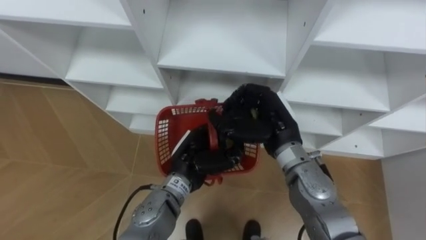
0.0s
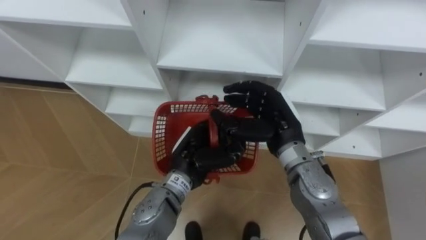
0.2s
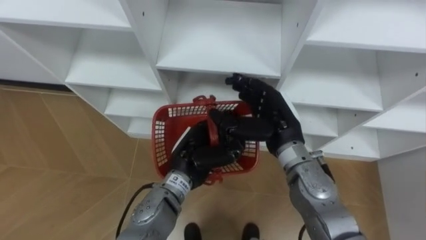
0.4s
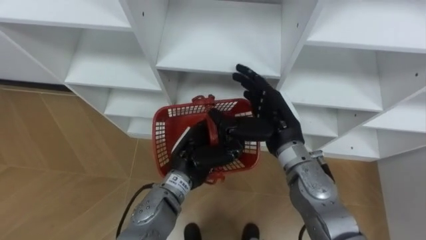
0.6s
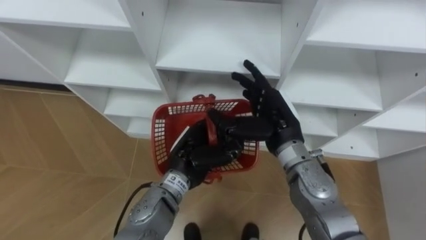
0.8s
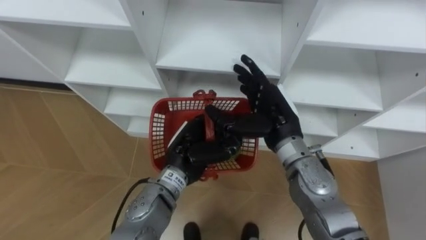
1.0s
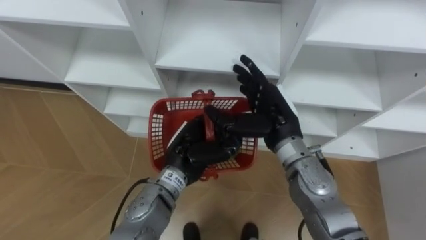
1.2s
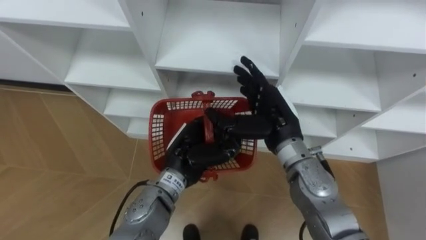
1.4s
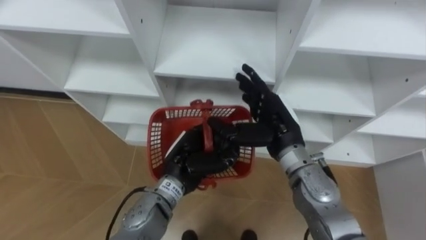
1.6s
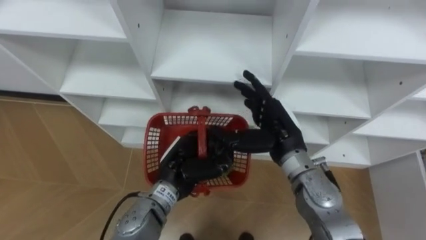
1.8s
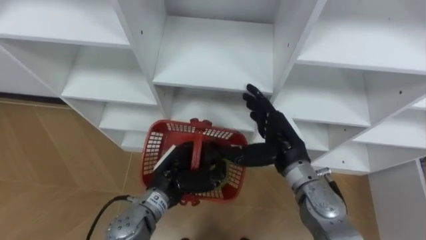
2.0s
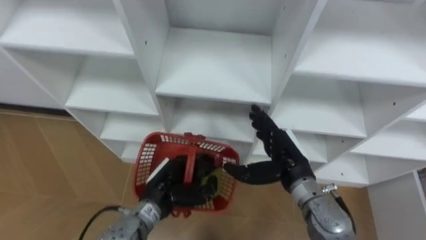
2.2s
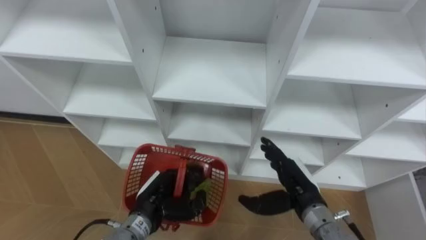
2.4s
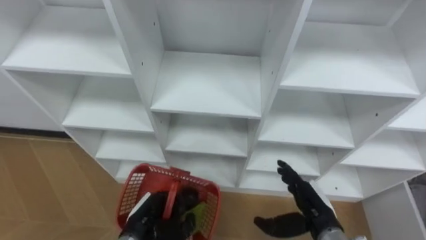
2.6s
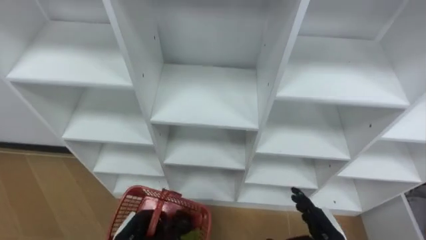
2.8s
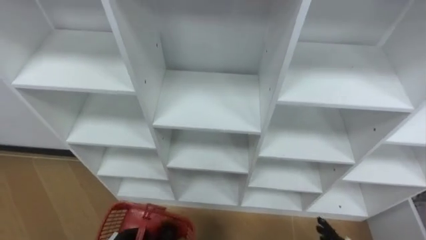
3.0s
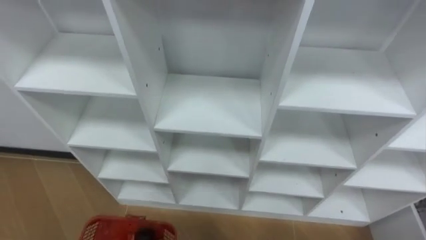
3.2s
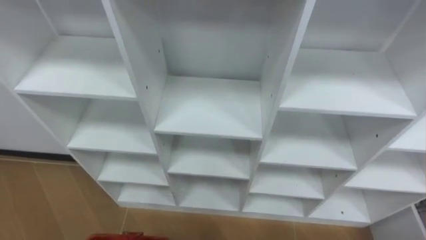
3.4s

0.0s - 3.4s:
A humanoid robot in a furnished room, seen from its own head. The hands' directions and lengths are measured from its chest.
Task of the whole recording: Hold the basket and collect the fruits from 3 different cells of the closet into it.
0.0s - 1.6s: The right hand opens up.

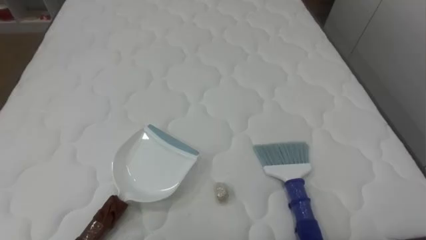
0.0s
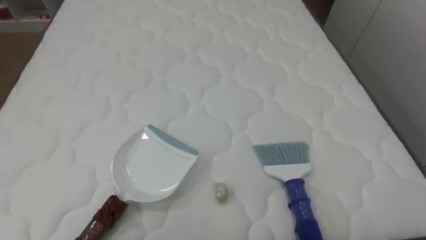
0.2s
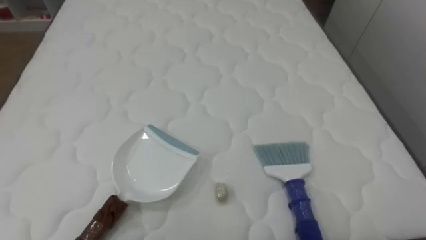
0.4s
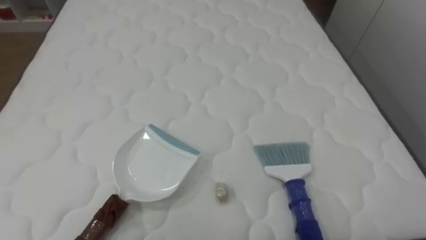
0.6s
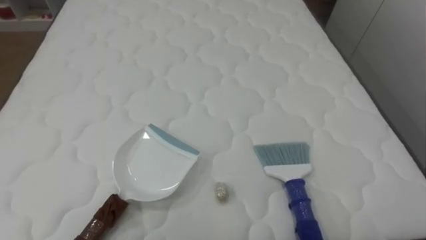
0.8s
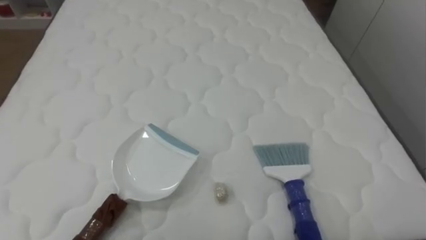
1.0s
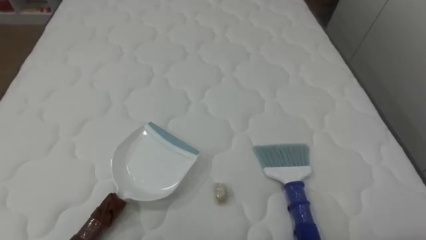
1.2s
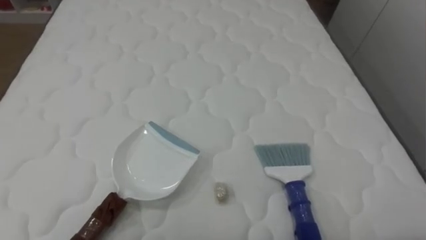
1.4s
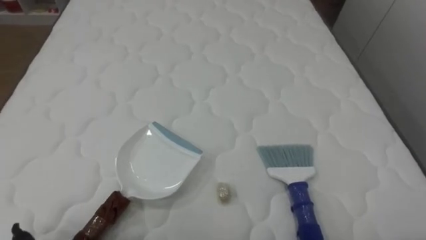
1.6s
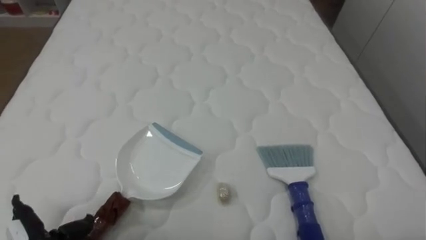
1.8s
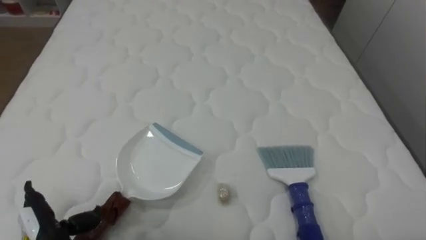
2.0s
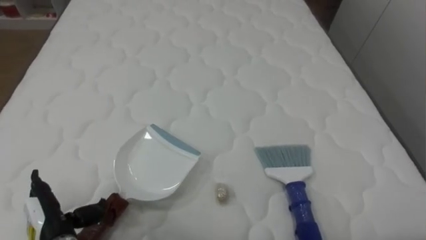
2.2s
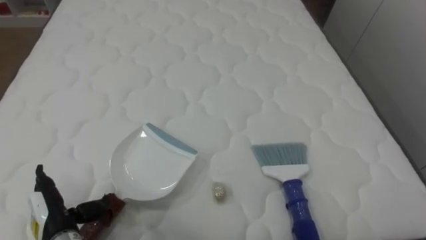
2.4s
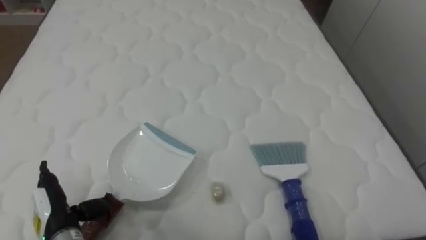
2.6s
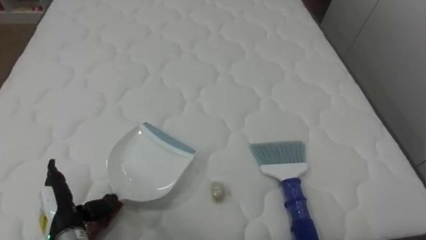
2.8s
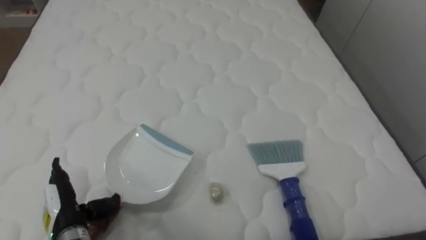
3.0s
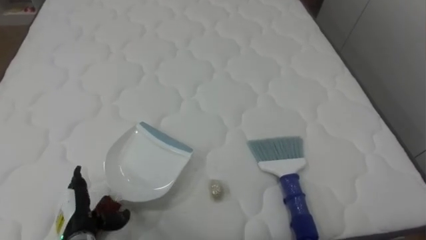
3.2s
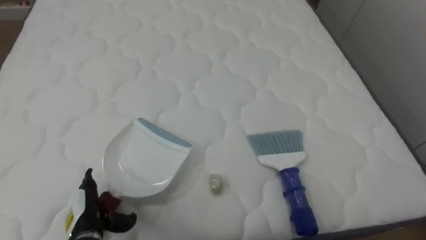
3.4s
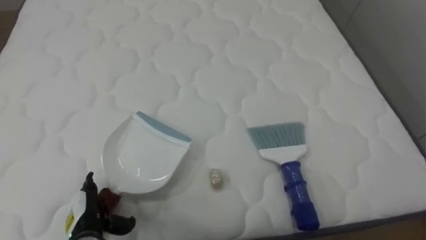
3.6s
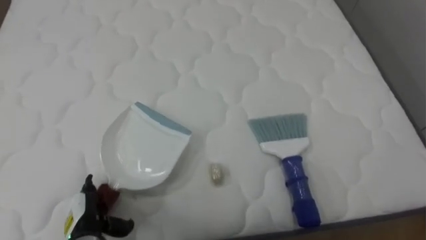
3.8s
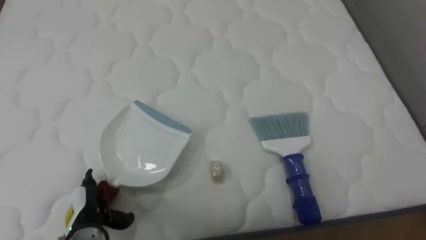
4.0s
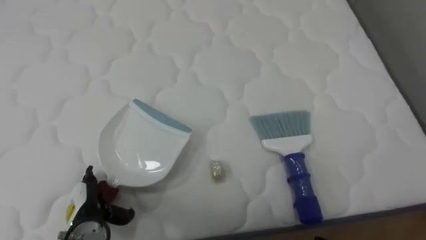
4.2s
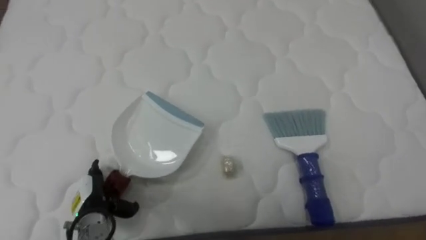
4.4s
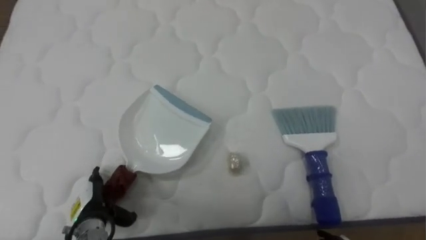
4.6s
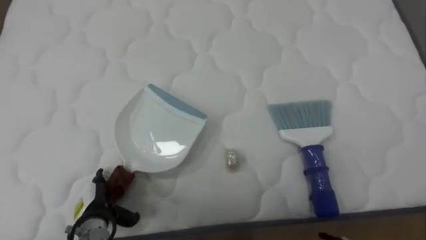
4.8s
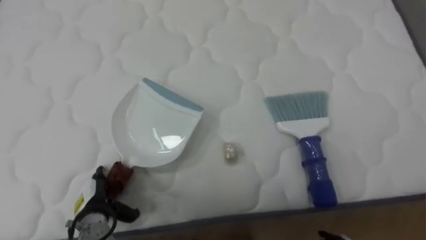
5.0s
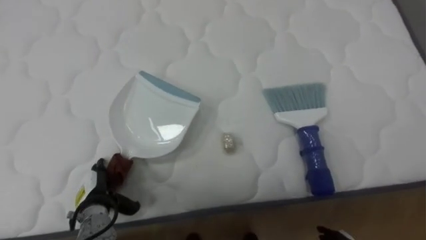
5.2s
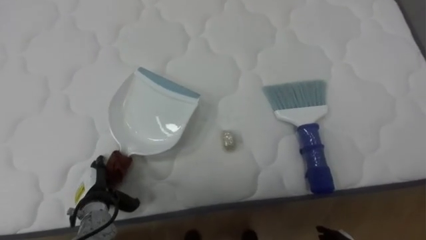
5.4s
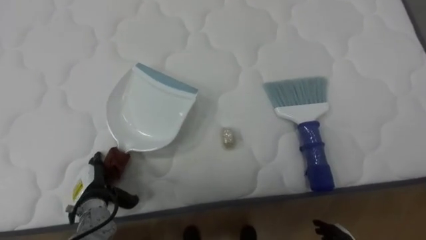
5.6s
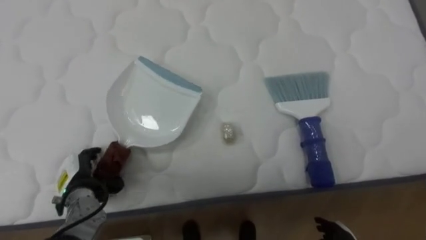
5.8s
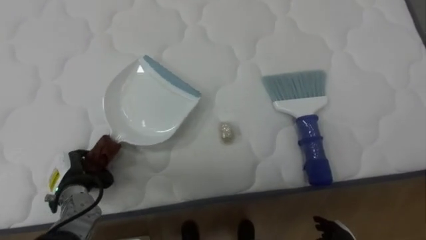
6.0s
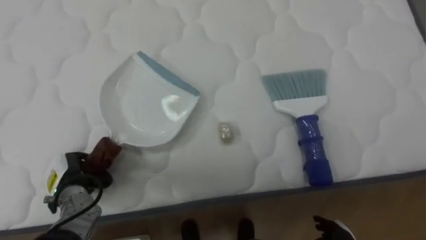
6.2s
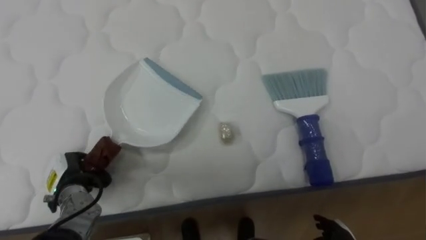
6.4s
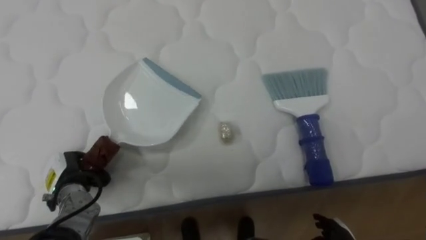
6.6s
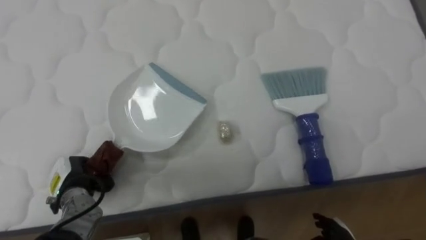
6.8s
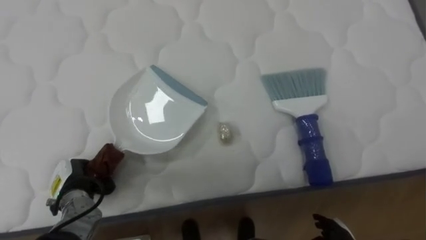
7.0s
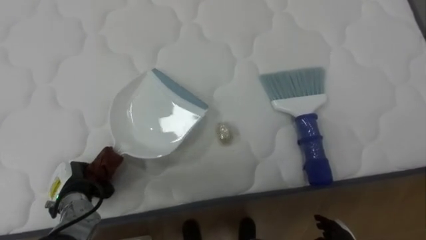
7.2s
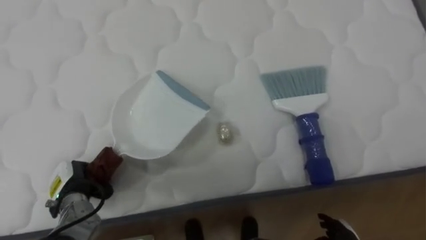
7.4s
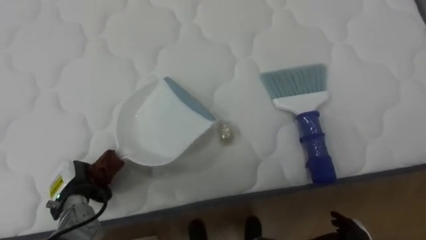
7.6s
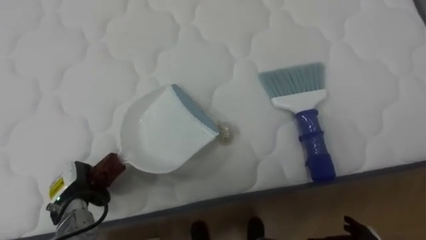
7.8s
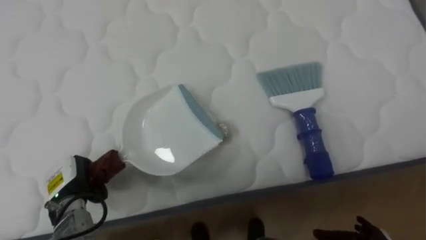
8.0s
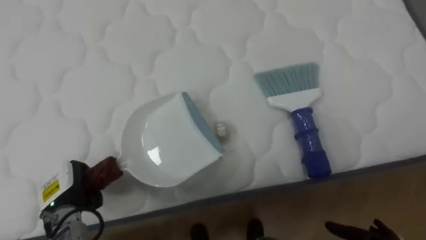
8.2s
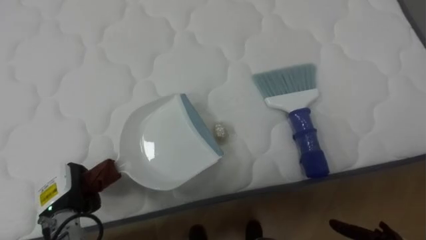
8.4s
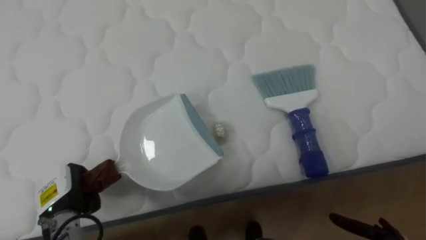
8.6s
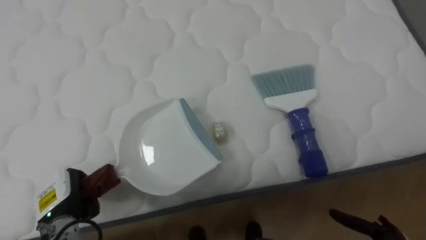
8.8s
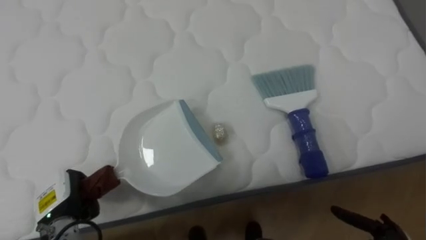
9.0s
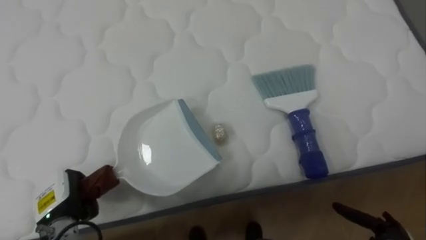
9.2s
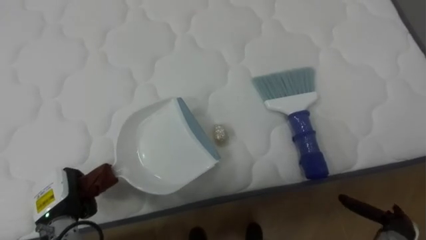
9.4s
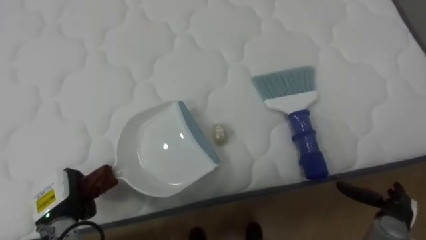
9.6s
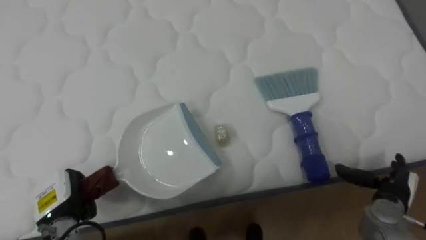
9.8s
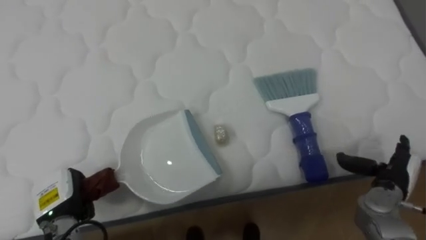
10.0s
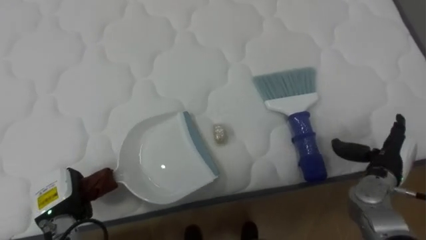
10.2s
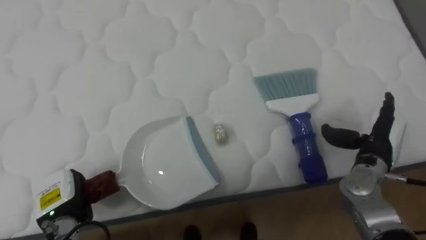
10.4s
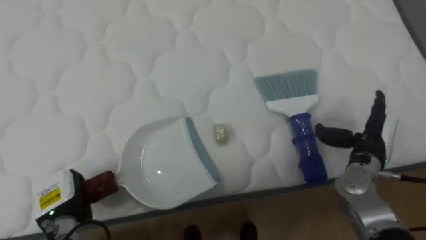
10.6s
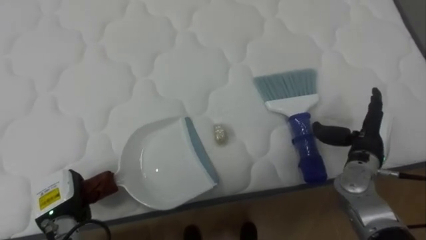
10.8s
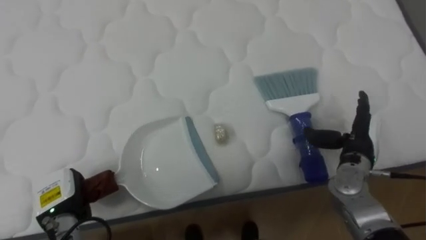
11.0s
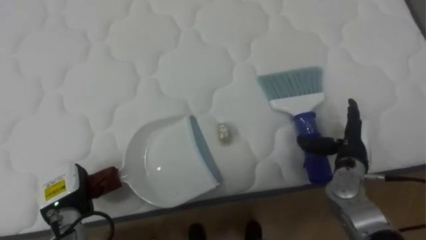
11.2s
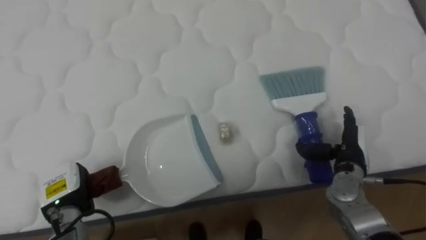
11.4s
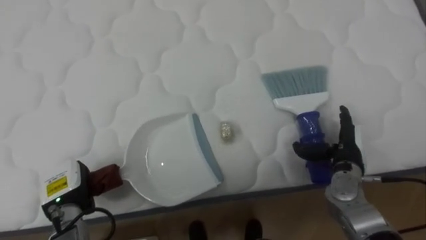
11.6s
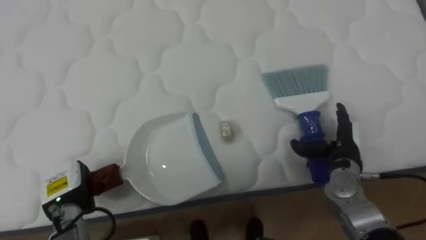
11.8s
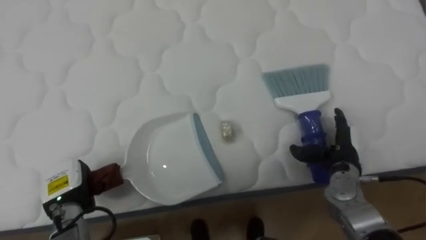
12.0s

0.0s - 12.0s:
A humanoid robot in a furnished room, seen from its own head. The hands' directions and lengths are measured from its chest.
Task of the whole recording: Pick up the brush on your right and the dustpan on your left. Use the brush to sweep the crumpled paper on the bed into the dustpan, then turn left and empty it into the basket.
3.0s - 4.4s: The left hand changes place by approximately 5 cm.
4.4s - 6.0s: The left hand shifts by some 5 cm, and closes.
6.0s - 7.6s: The left hand closes up.
10.4s - 12.0s: The right hand travels to the left by about 5 cm.

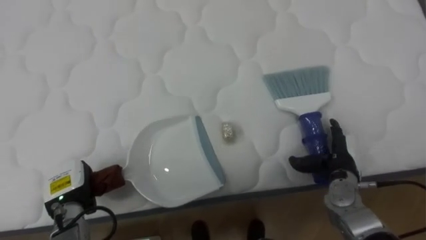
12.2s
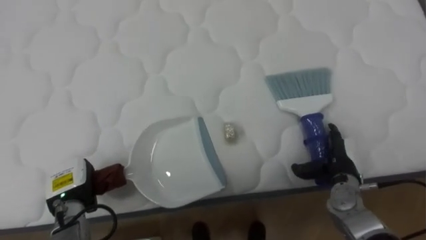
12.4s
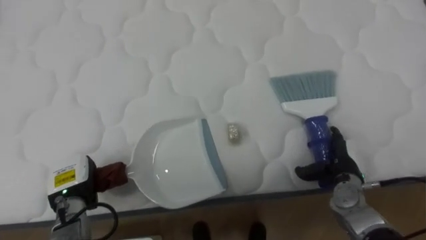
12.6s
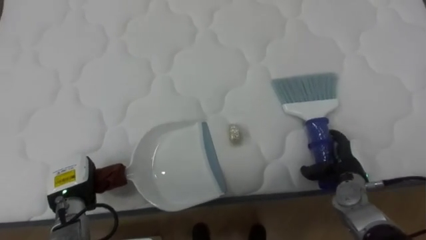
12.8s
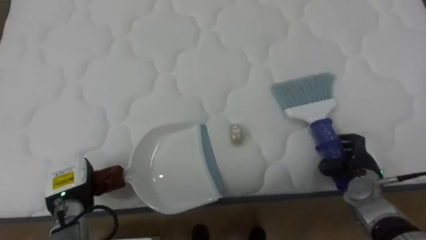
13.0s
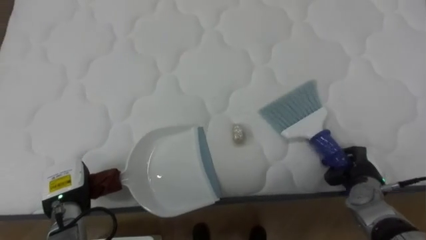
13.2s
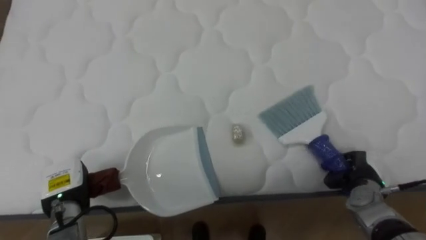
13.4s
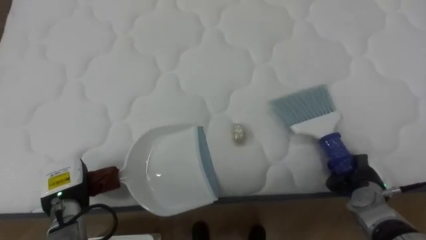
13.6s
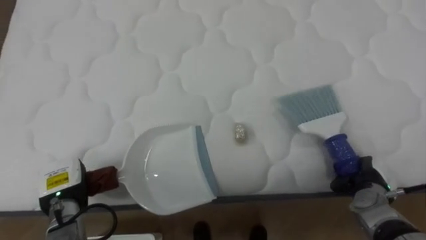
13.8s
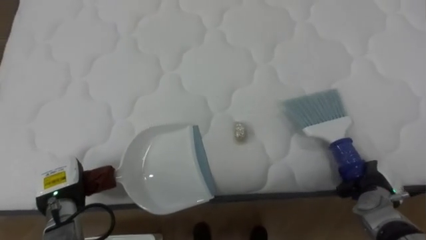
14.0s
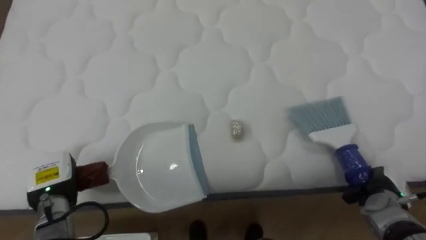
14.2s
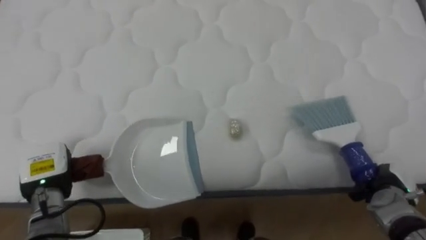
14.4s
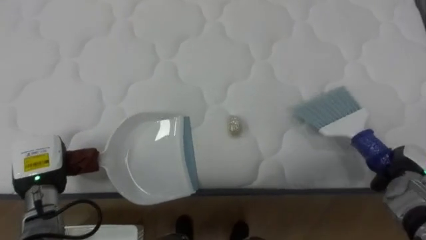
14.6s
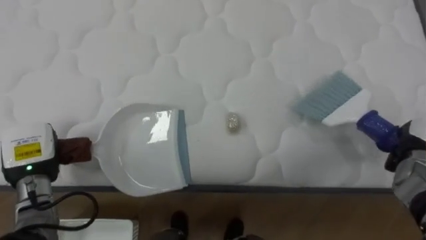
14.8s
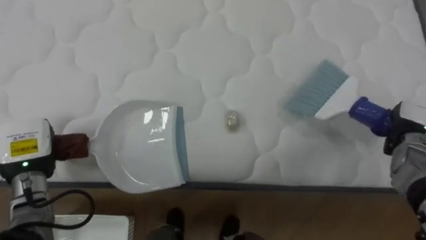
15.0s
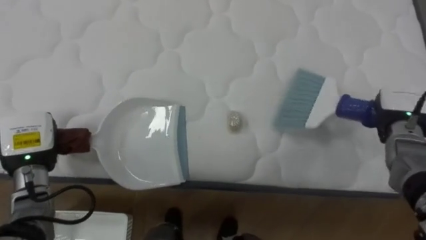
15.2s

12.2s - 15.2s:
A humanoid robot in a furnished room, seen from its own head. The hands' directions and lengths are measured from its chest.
Task of the whole recording: Pick up the brush on your right and the dustpan on your left. Use the brush to sweep the crumpled paper on the bed into the dustpan, then turn left and empty it into the basket.
12.2s - 13.8s: The right hand heads to the right, covering about 5 cm, and closes its fingers.
13.8s - 15.2s: The left hand moves upward, some 10 cm, while the right hand goes about 15 cm upward and forward.
